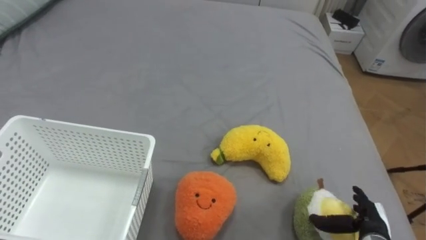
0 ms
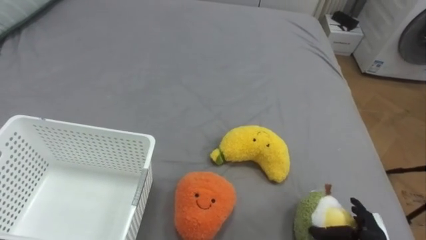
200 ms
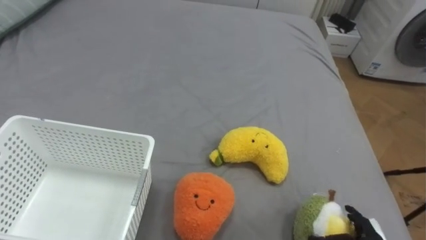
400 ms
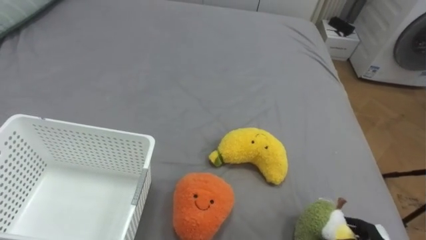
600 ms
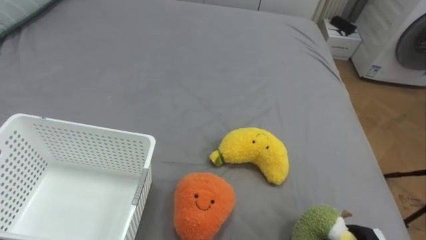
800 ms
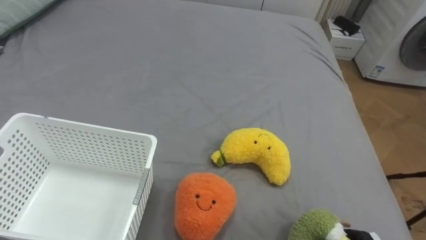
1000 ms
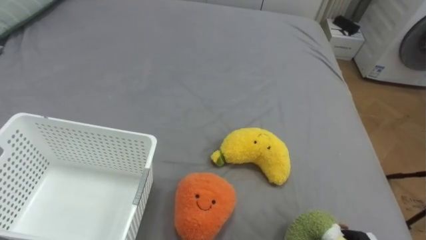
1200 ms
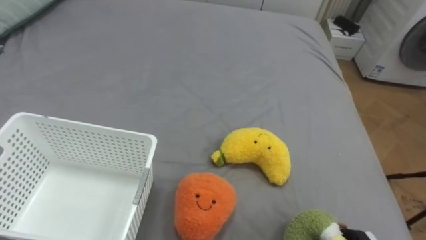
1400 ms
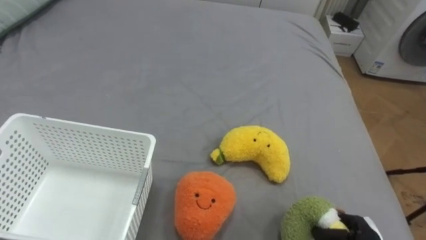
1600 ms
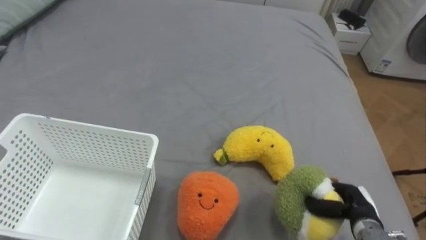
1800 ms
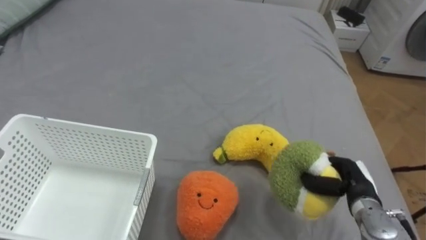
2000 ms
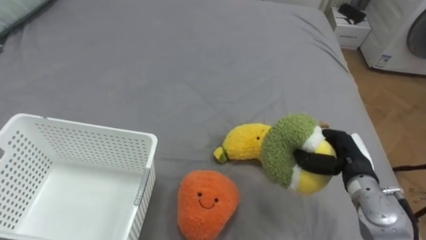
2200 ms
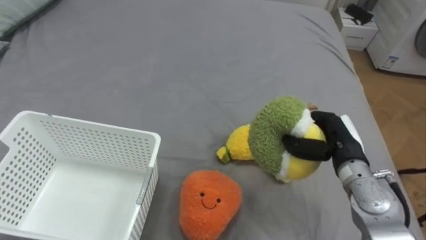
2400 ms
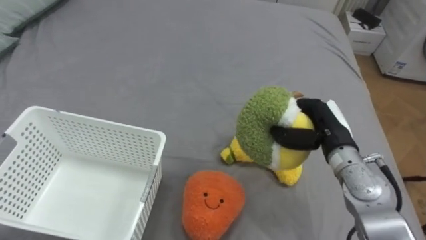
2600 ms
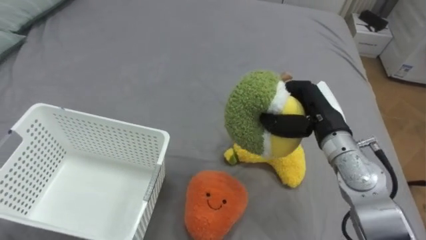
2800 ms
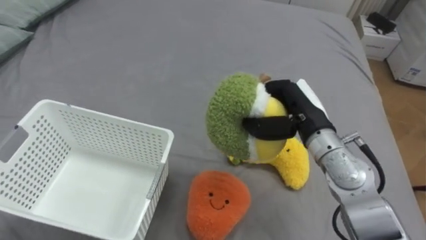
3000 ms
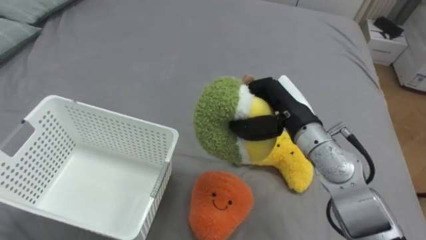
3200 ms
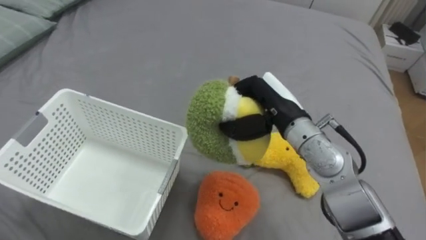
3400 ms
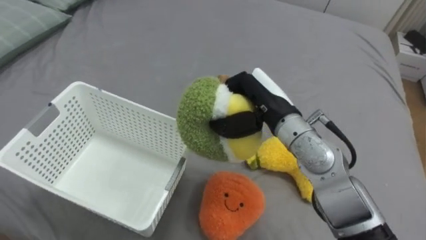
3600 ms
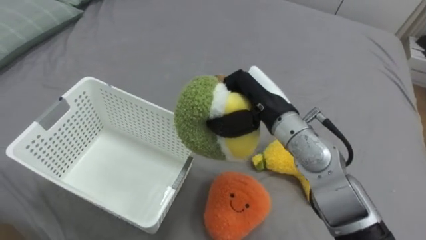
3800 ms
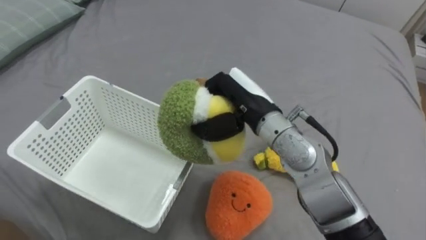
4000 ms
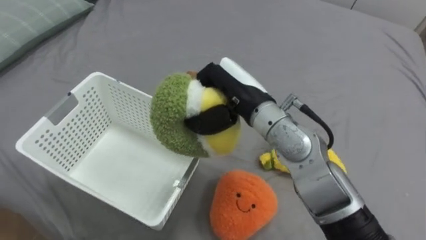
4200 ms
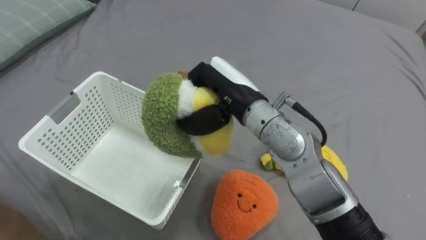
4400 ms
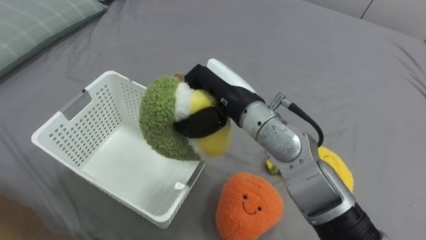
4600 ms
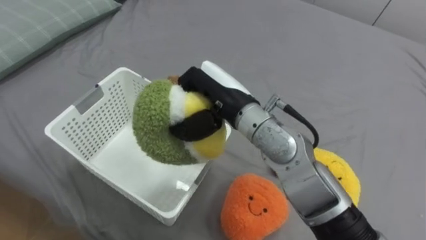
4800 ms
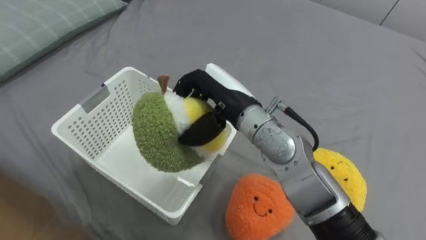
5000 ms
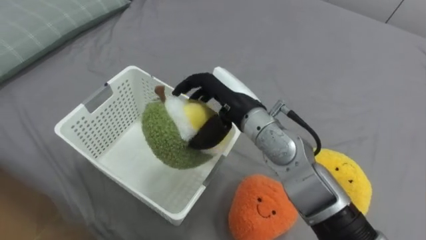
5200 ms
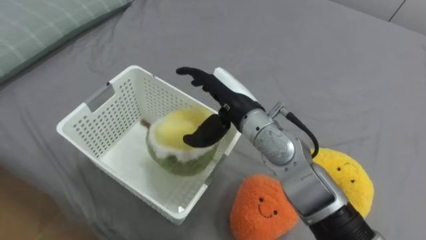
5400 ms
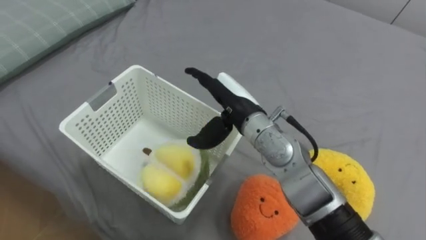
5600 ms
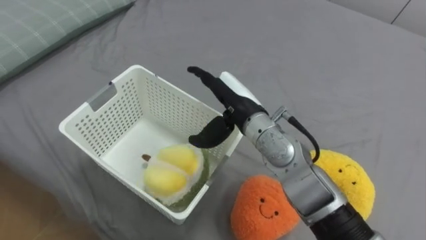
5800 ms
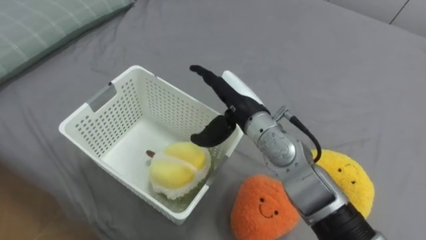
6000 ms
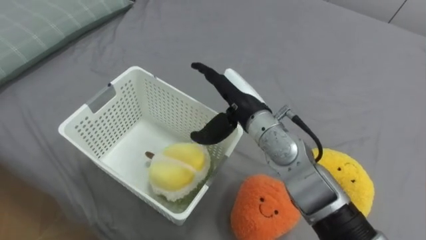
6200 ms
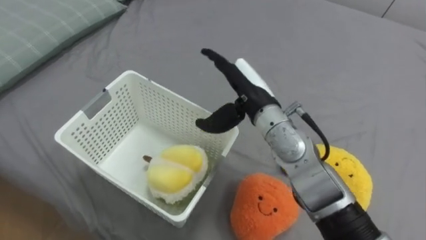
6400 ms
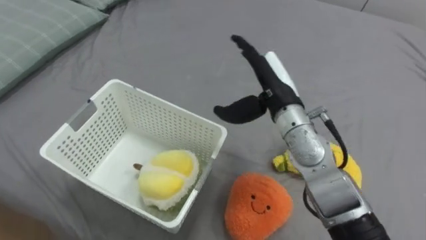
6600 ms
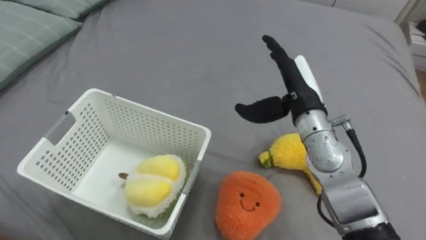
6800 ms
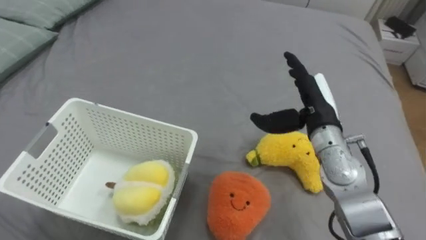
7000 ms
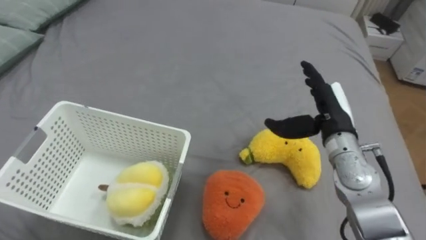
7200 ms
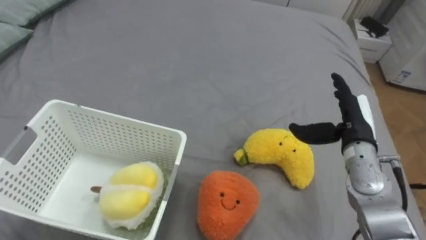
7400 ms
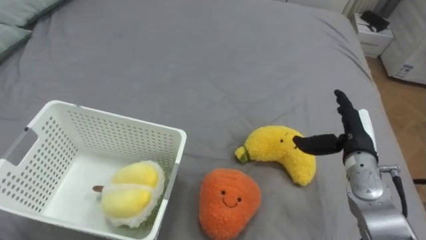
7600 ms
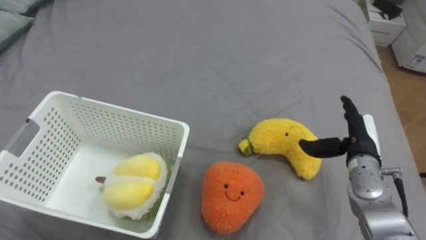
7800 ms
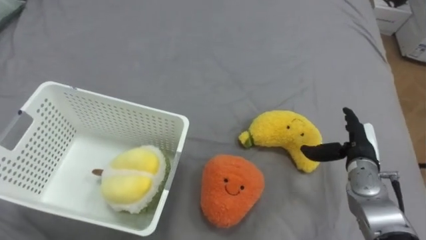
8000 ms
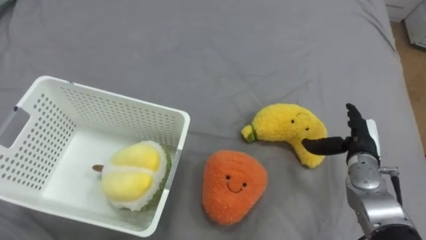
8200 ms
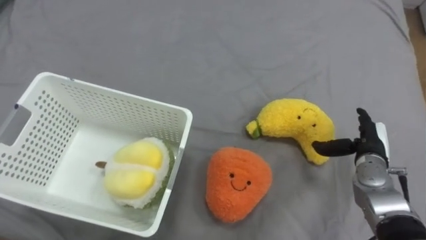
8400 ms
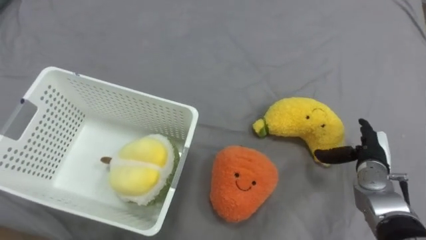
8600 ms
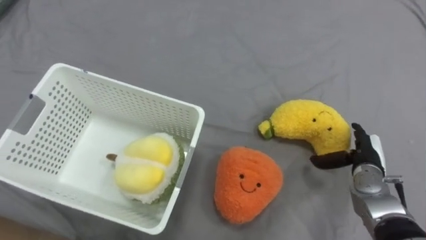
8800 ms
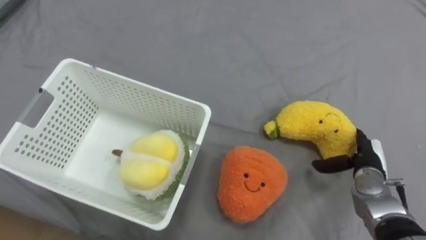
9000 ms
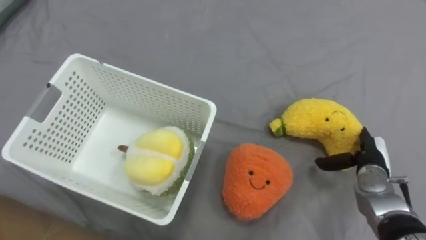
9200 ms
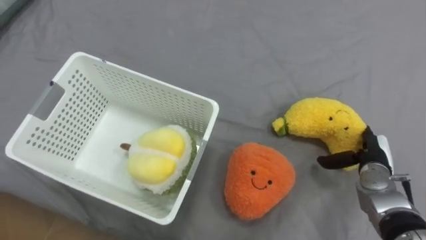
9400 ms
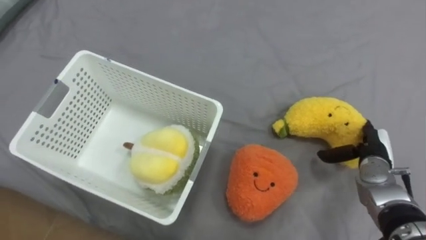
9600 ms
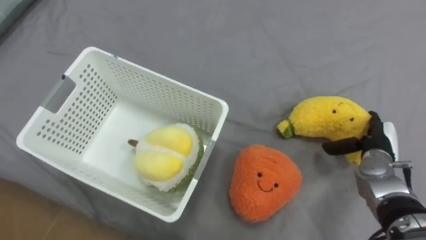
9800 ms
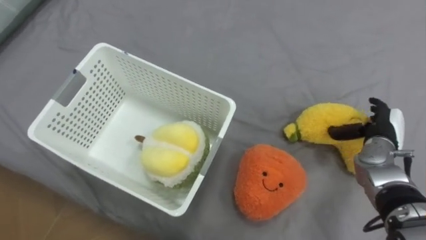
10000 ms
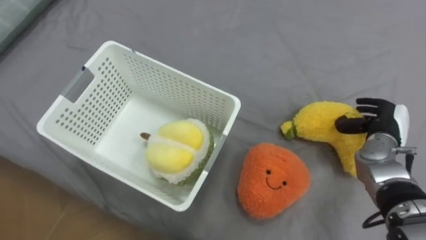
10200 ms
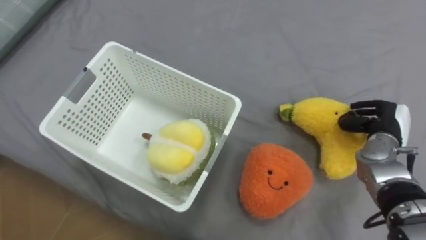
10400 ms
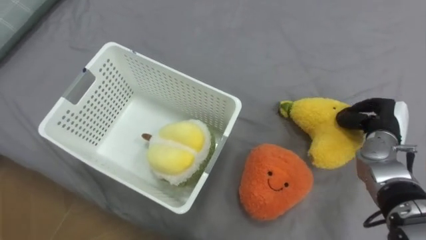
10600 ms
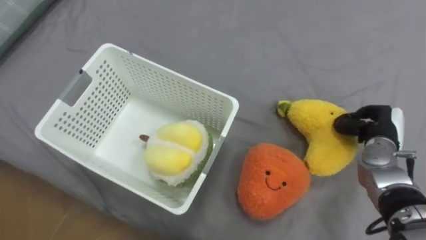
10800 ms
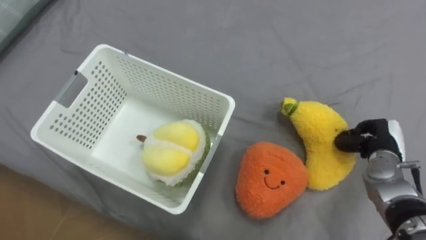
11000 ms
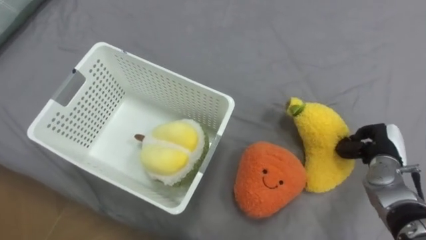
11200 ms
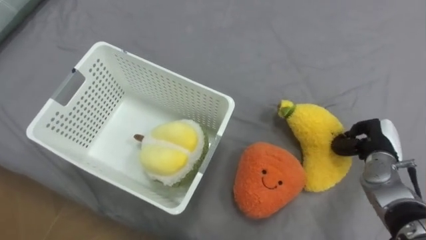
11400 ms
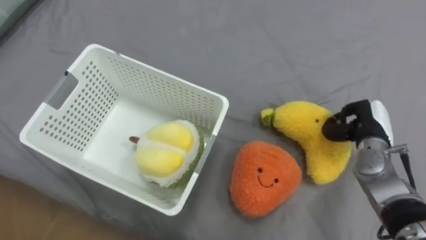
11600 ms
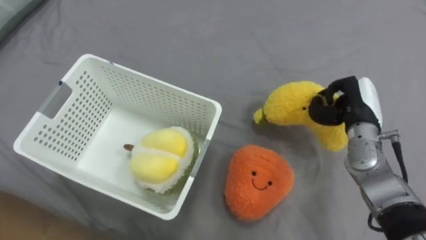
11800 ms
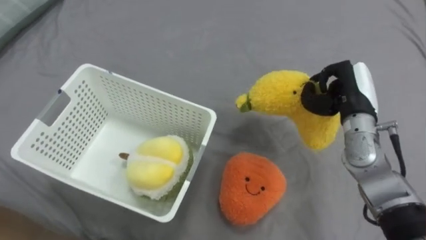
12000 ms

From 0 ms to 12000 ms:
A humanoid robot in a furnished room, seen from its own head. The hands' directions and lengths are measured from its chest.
Task of the whole recording: Put the toys on the bed into the basket on the left.
From 3000 ms to 4400 ms: The right hand travels to the left by about 15 cm.
From 4400 ms to 6000 ms: The right hand opens its fingers.
From 6000 ms to 7600 ms: The right hand is displaced to the right by some 25 cm.
From 7600 ms to 9000 ms: The right hand goes approximately 10 cm downward.
From 9000 ms to 10400 ms: The right hand travels upward by some 5 cm, and closes its fingers.
From 10400 ms to 12000 ms: The right hand heads to the left and upward, covering approximately 10 cm.

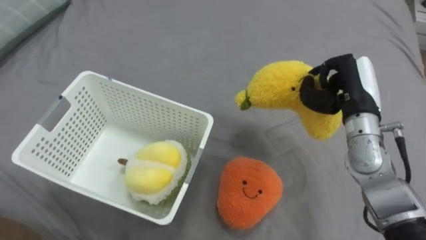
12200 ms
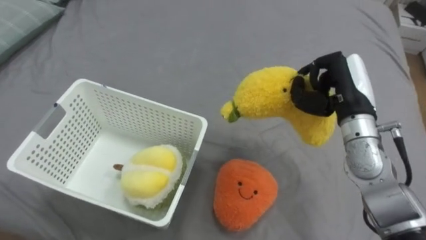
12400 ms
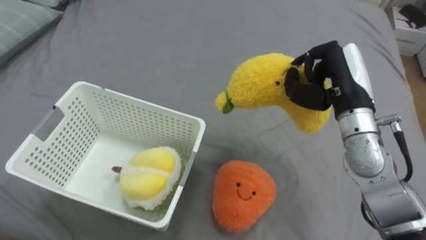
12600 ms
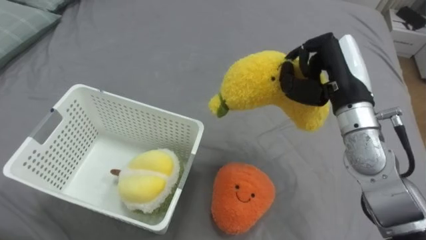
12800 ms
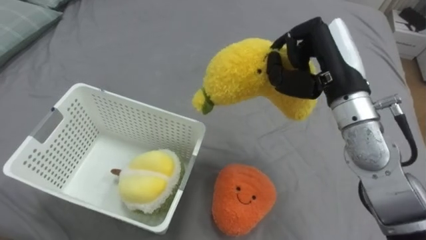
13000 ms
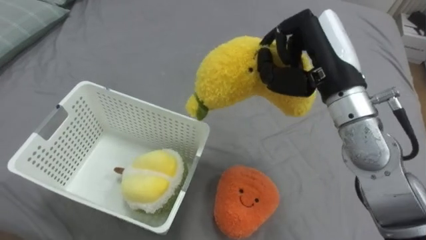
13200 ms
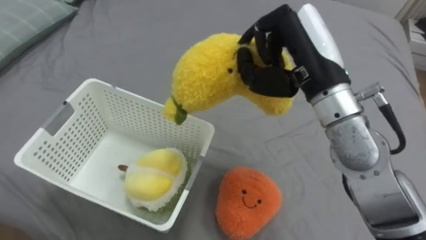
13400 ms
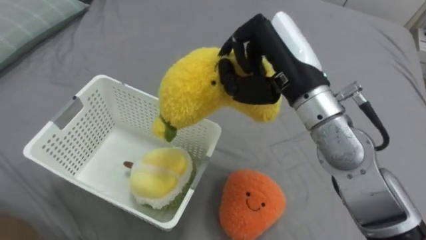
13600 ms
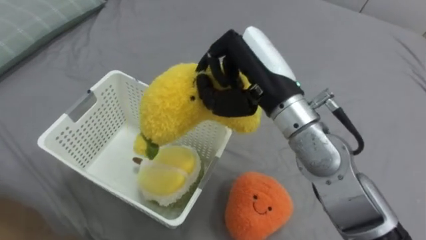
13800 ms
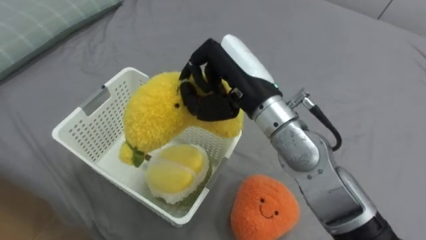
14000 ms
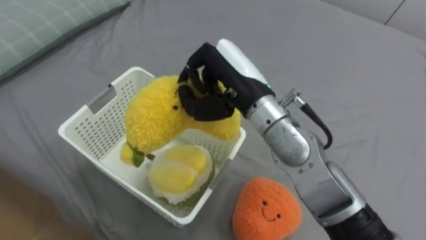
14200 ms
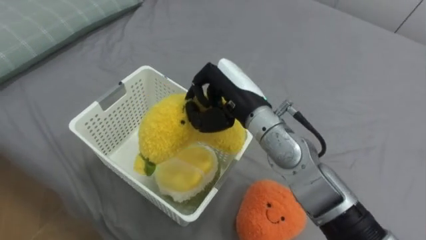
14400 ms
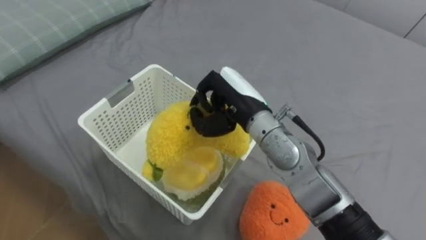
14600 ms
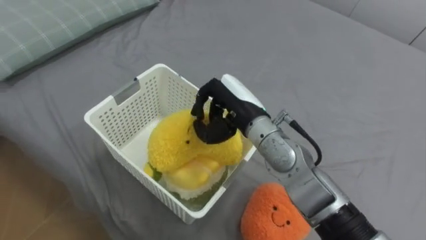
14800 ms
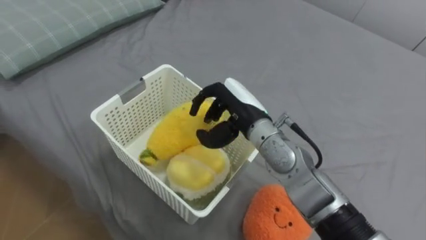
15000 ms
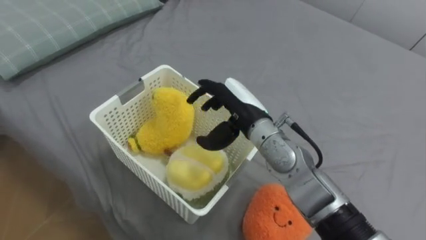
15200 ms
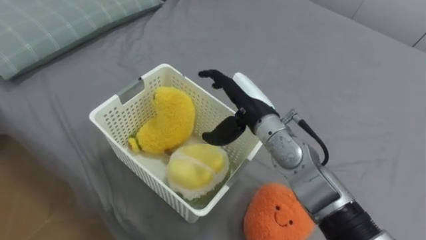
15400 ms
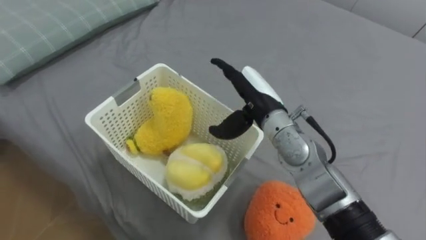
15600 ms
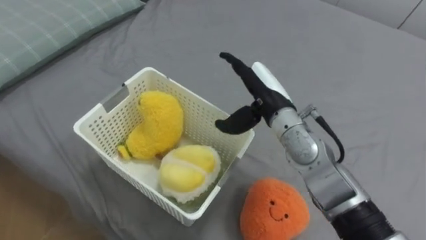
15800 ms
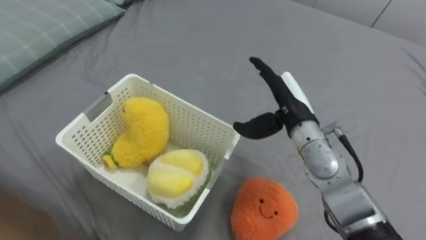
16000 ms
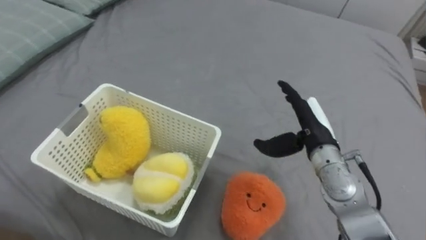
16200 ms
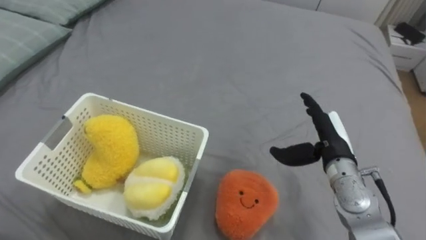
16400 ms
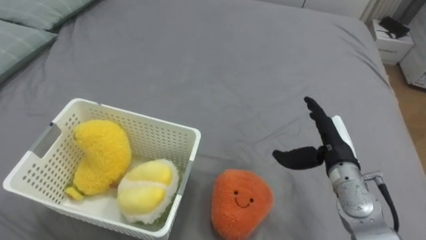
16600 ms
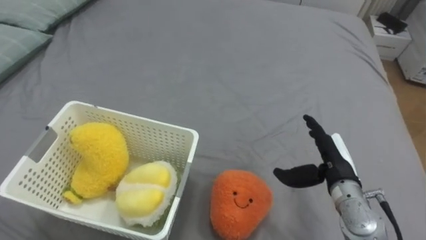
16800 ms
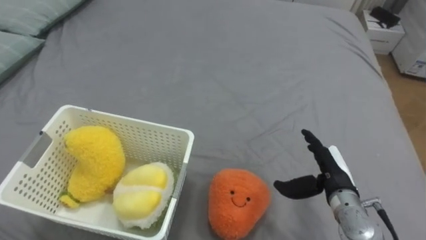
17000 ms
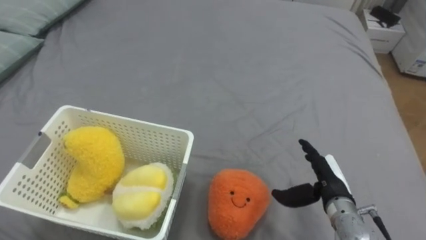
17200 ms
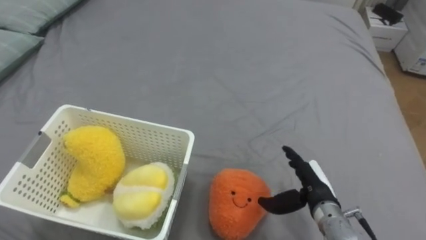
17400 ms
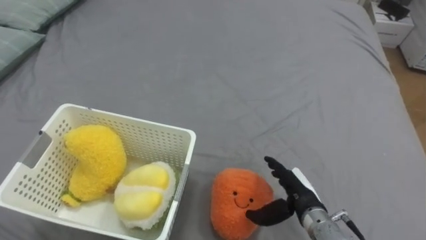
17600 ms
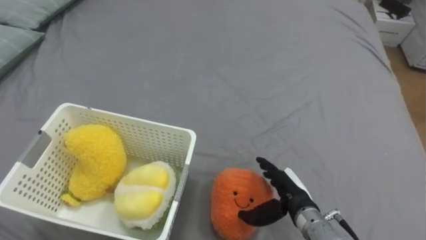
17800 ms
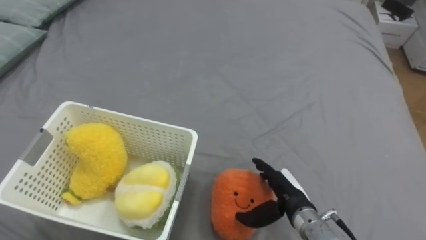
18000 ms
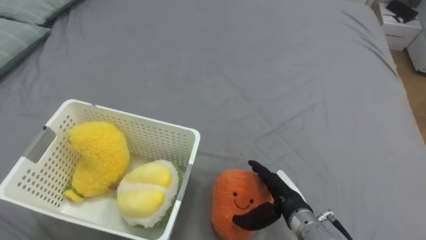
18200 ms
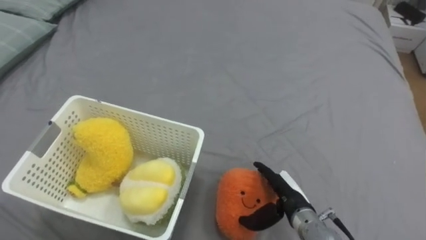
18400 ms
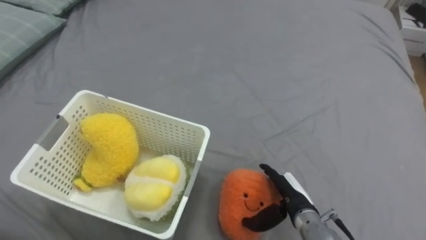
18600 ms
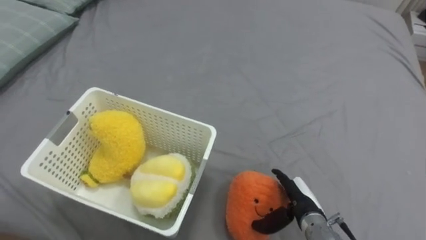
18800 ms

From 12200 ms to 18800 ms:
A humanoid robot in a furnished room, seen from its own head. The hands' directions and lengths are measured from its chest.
Task of the whole recording: Put the toys on the bed into the basket on the left.
From 12200 ms to 13800 ms: The right hand heads to the left and upward, covering approximately 20 cm.
From 13800 ms to 15400 ms: The right hand is displaced downward by roughly 10 cm, and opens up.
From 15400 ms to 17200 ms: The right hand is displaced to the right, downward and backward by some 25 cm.
From 17200 ms to 18800 ms: The right hand is displaced downward by approximately 5 cm.
